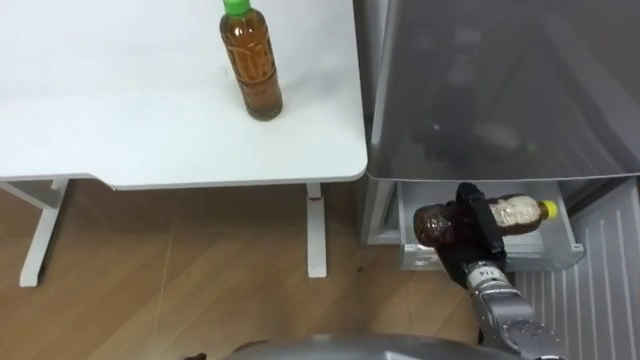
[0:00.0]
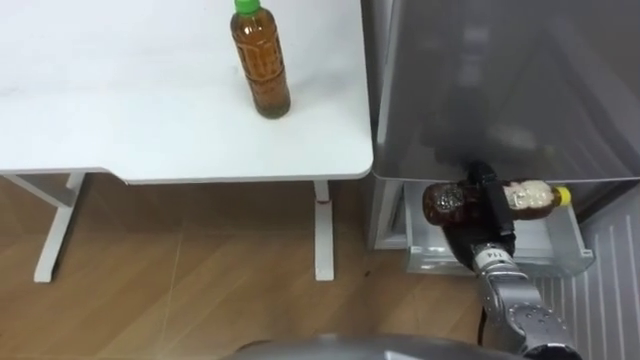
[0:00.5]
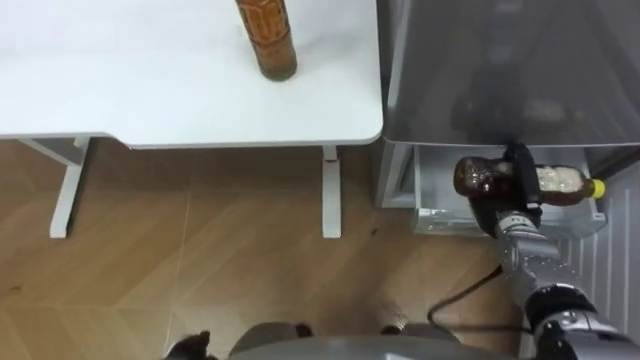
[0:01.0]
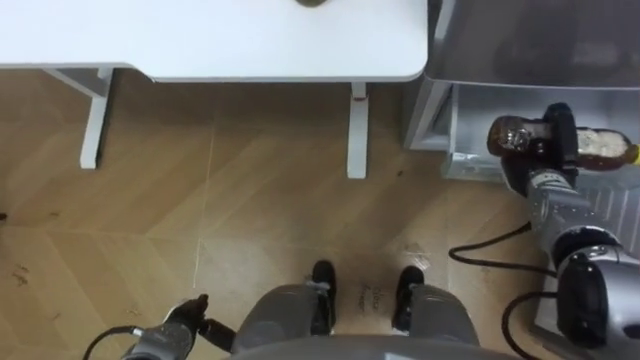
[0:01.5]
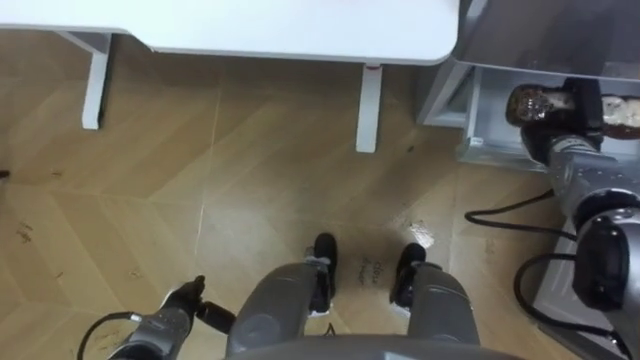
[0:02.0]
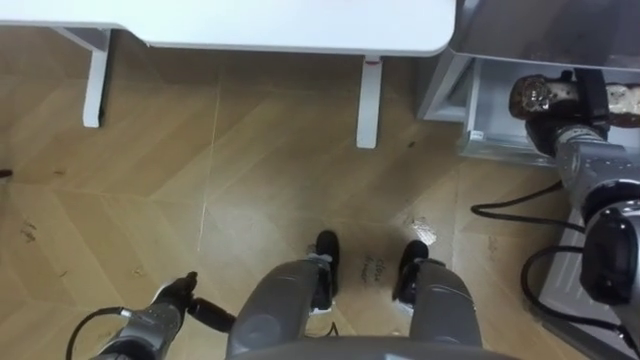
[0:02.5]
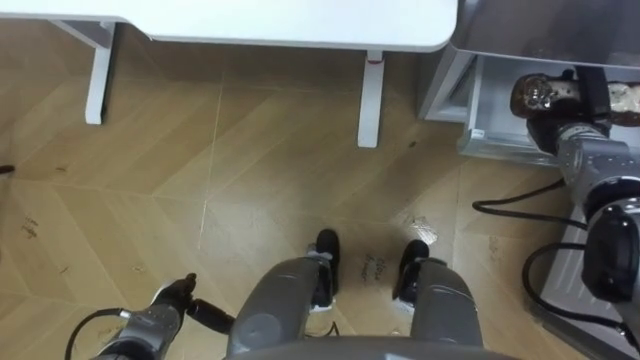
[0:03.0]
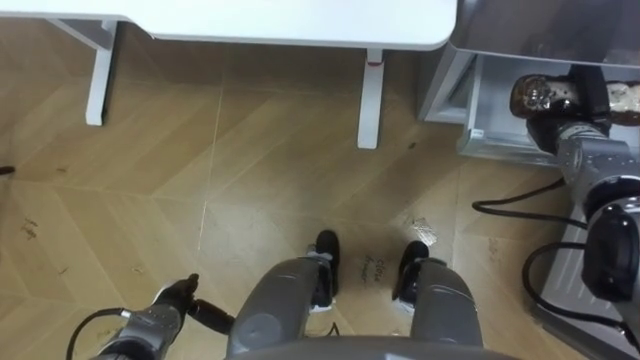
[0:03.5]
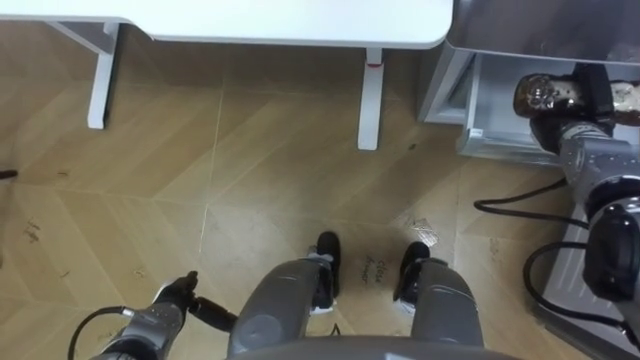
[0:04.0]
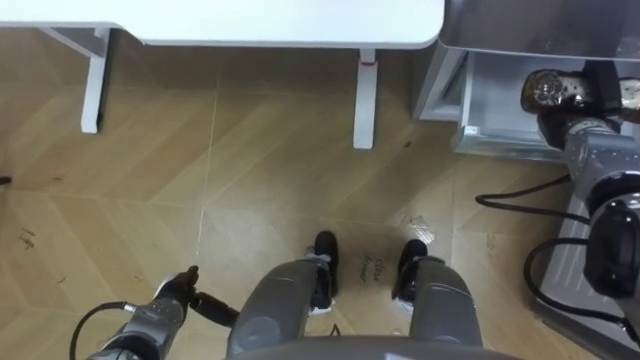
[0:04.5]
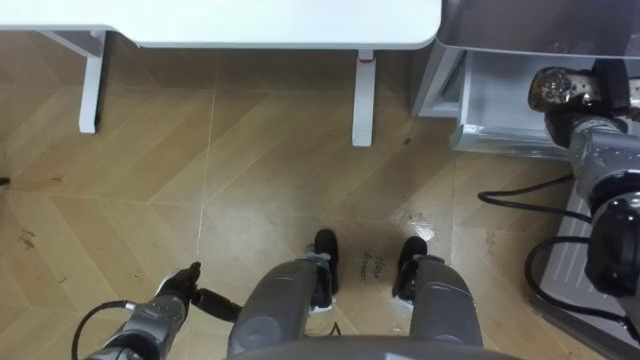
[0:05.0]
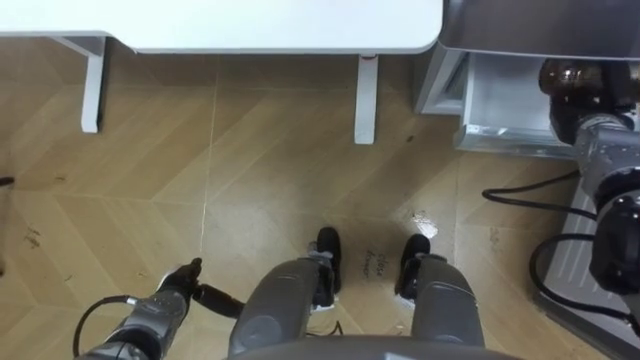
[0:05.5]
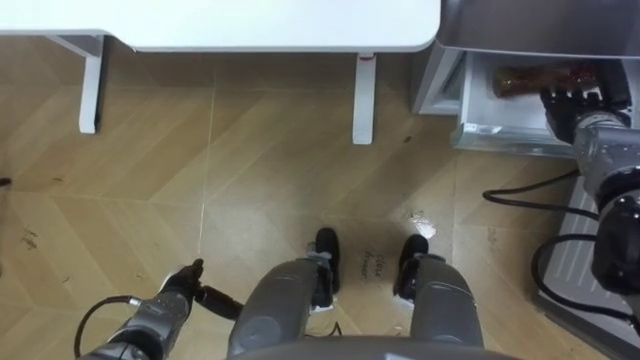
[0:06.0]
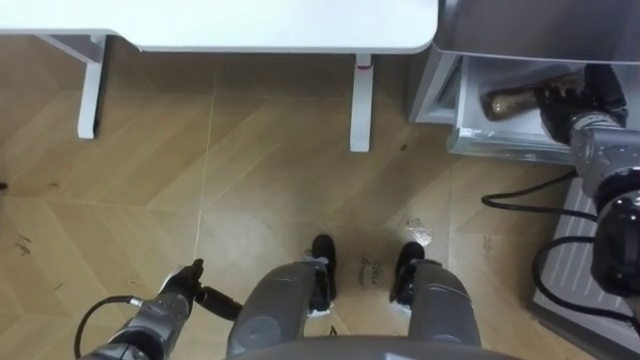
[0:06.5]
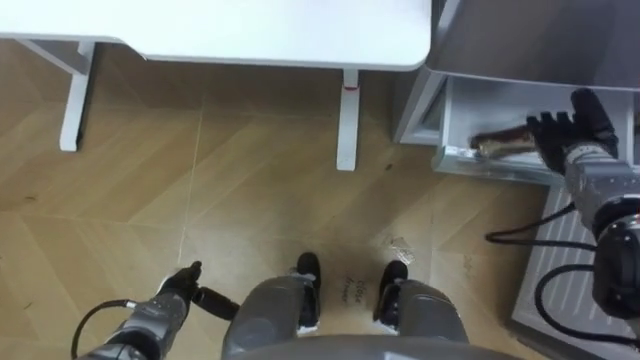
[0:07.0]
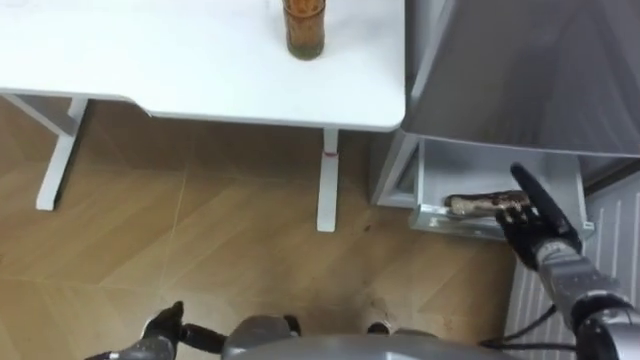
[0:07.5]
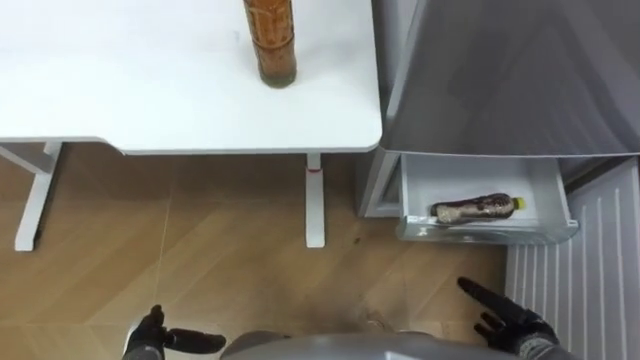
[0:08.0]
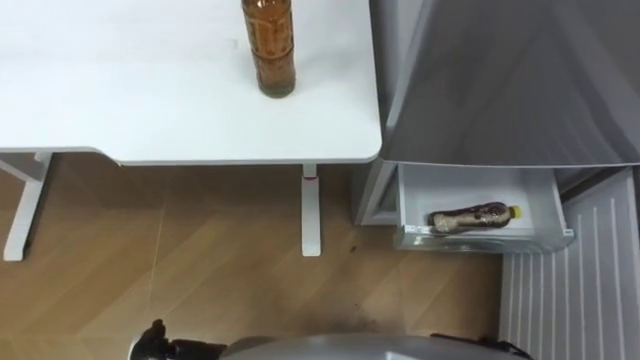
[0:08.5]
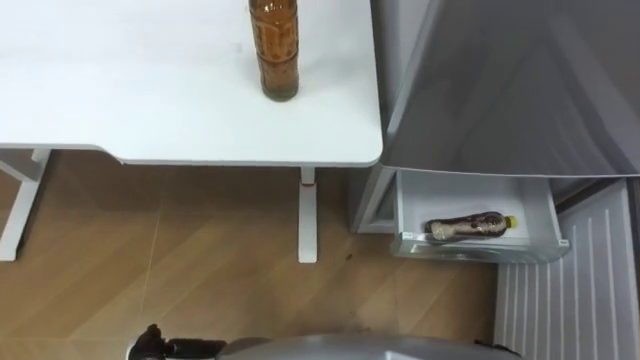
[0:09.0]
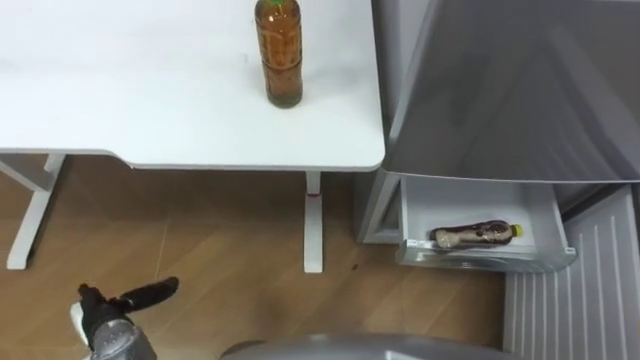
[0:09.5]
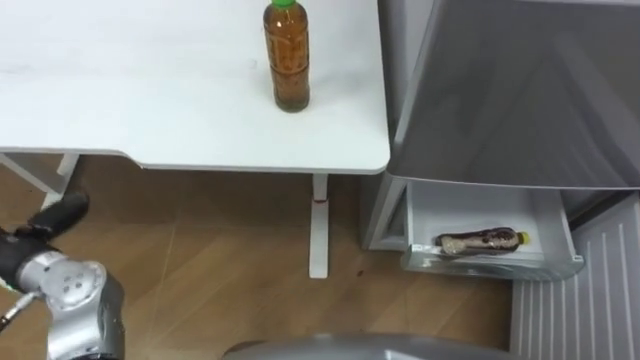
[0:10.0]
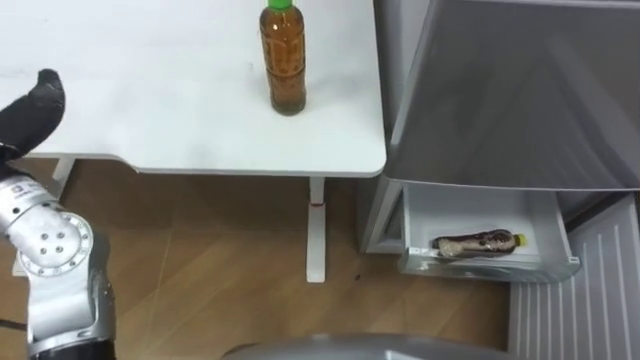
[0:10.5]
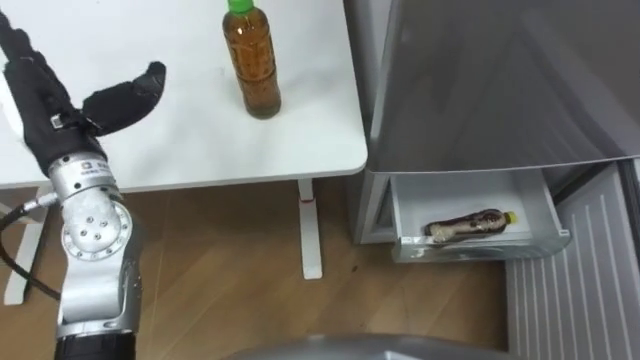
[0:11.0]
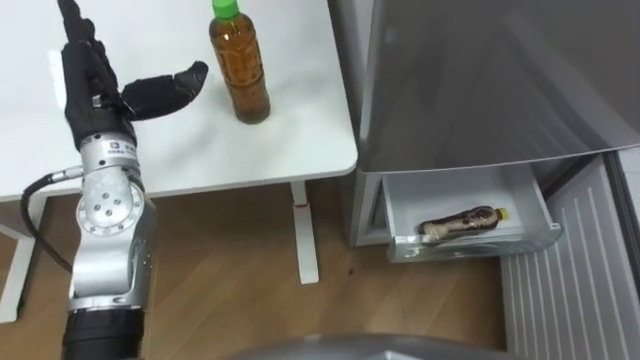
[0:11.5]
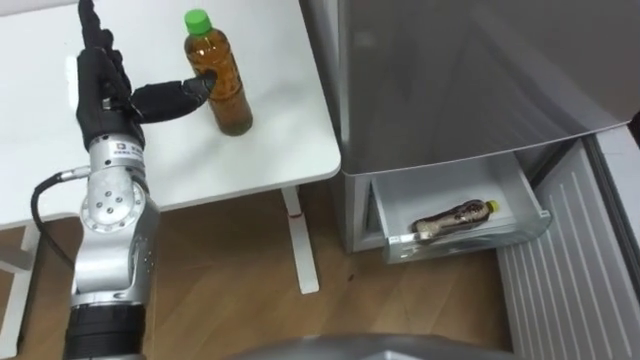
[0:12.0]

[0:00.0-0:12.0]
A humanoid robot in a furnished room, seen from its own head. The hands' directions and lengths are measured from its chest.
Task of the whole recording: Place the drink on the table on the bottom shelf of the refrigerator, then close the drawer and the refrigerator door.
0:00.0 to 0:02.0: The right hand moves forward, to the right and upward, some 20 cm.
0:04.0 to 0:06.0: The right hand opens its fingers.
0:06.0 to 0:08.0: The right hand goes approximately 30 cm backward and downward, while the left hand travels backward by roughly 10 cm.

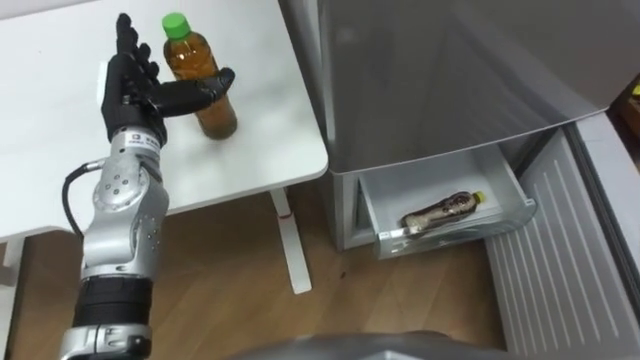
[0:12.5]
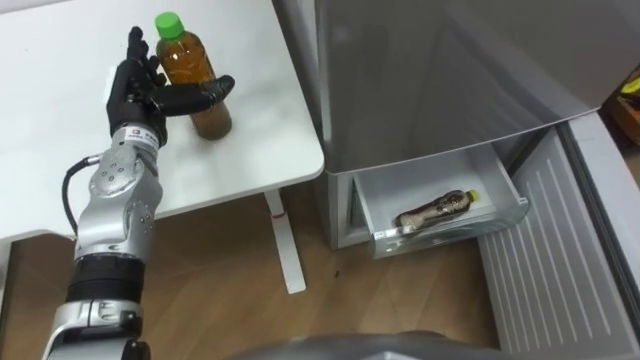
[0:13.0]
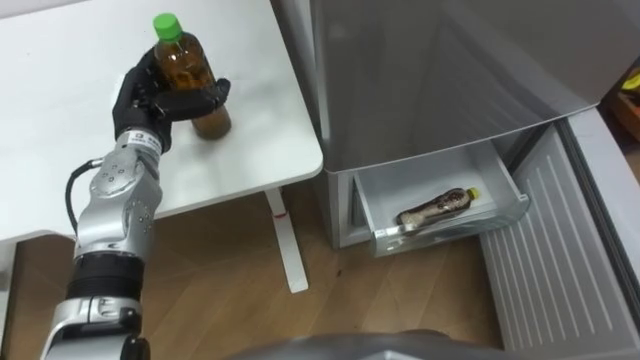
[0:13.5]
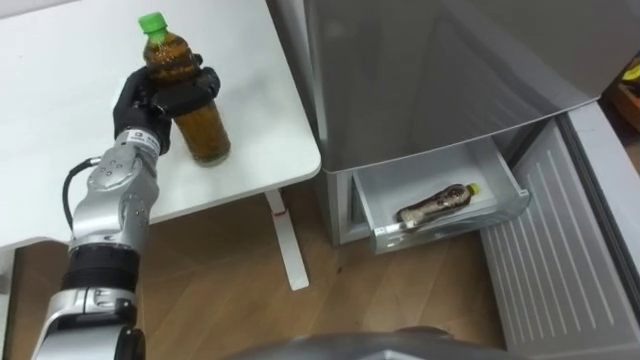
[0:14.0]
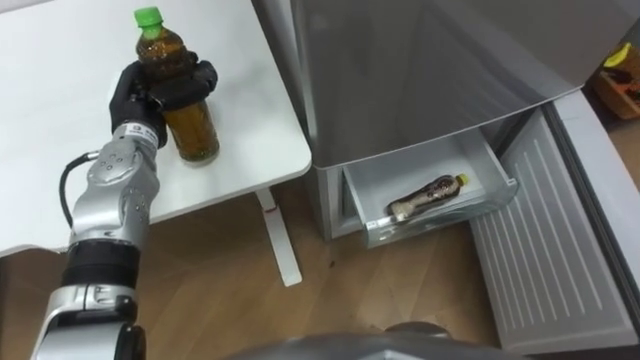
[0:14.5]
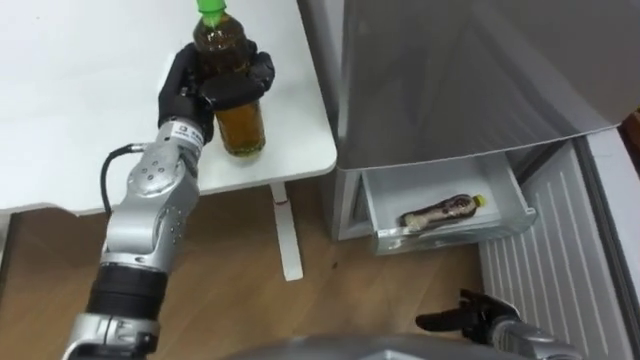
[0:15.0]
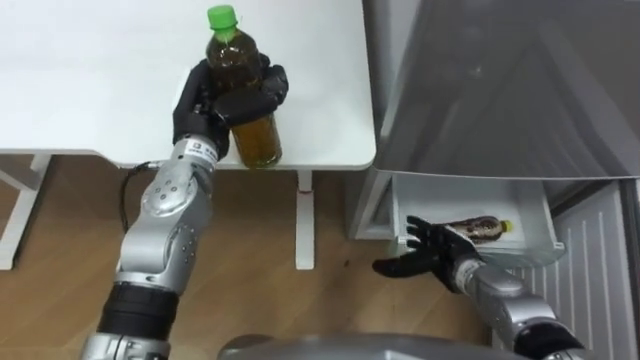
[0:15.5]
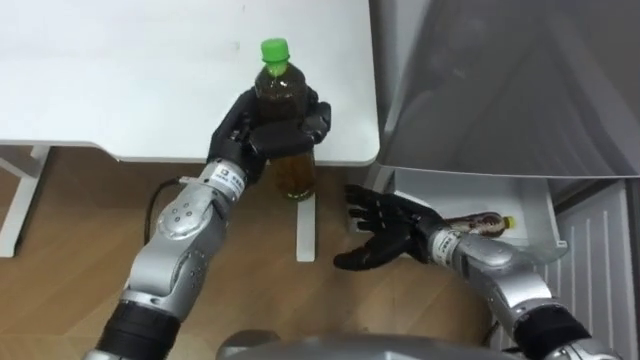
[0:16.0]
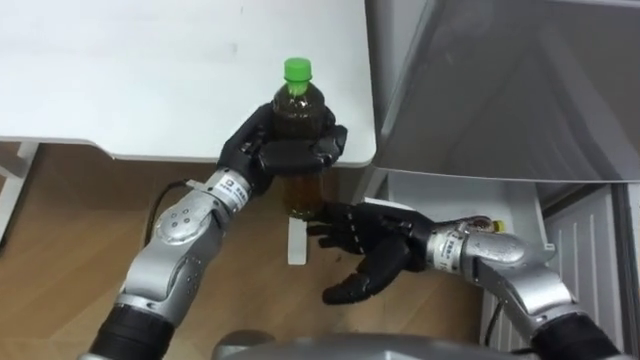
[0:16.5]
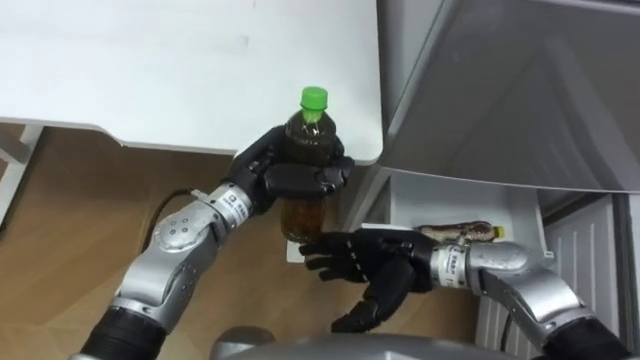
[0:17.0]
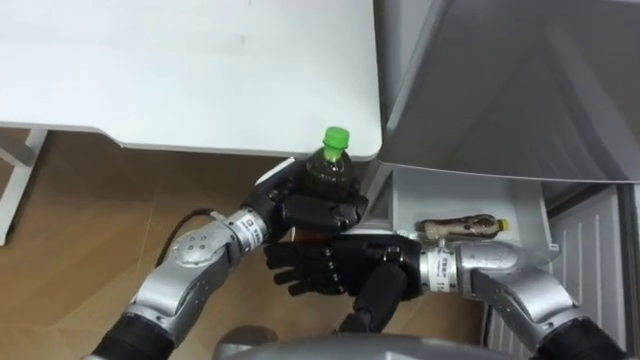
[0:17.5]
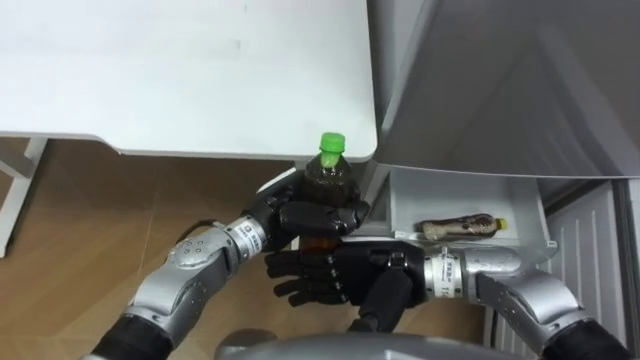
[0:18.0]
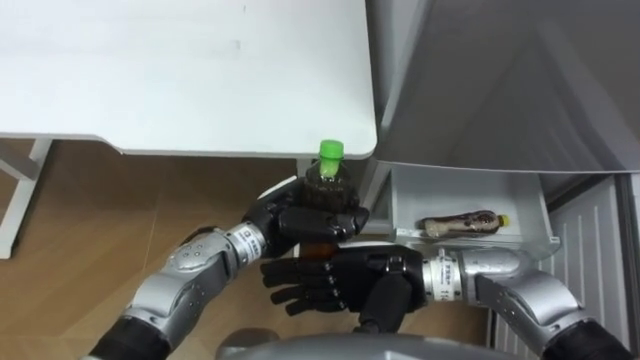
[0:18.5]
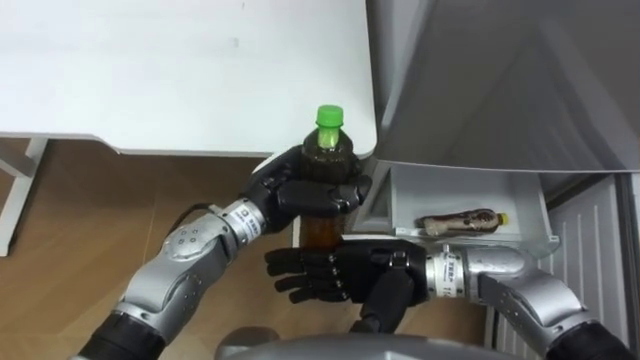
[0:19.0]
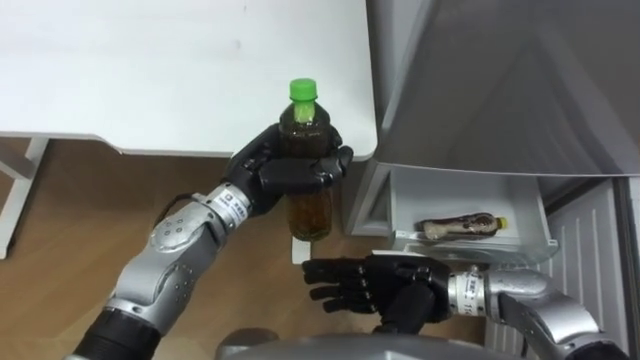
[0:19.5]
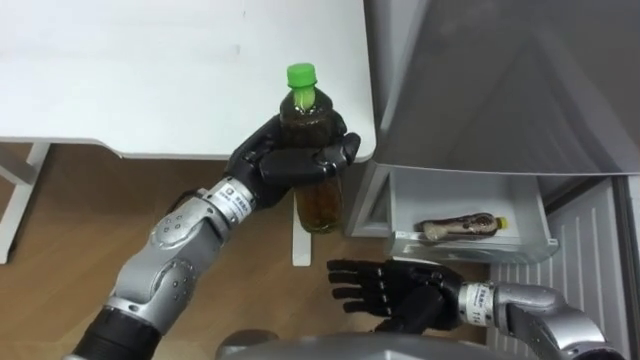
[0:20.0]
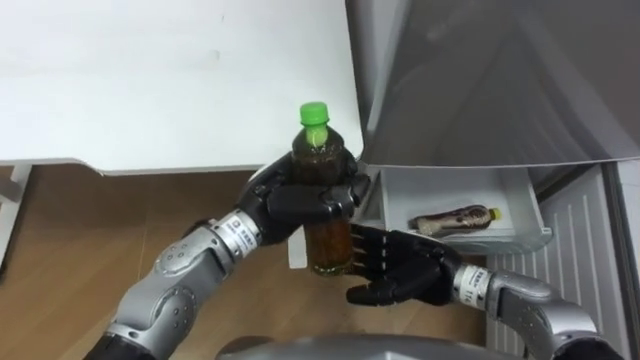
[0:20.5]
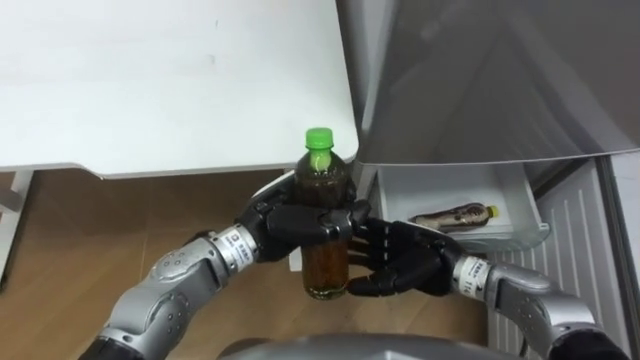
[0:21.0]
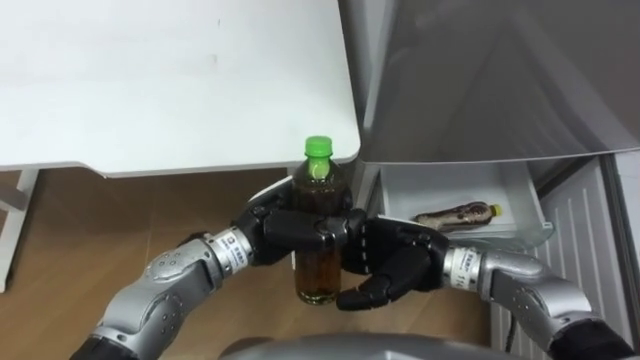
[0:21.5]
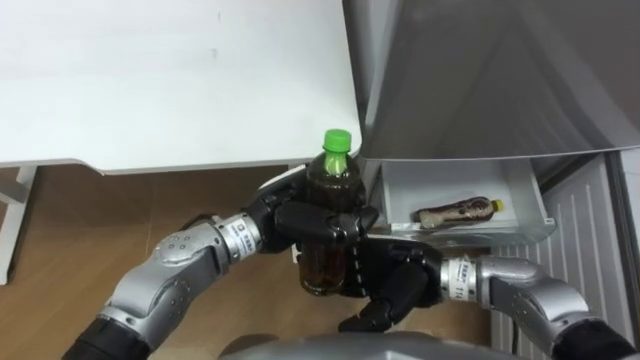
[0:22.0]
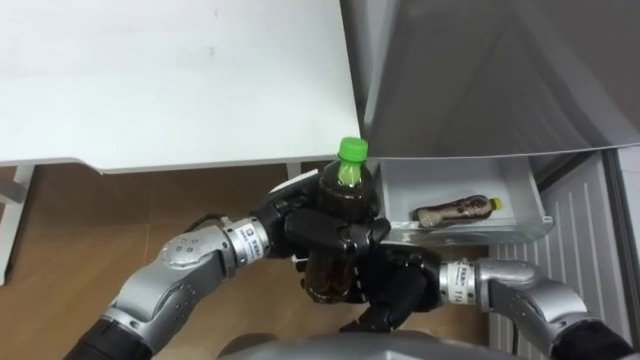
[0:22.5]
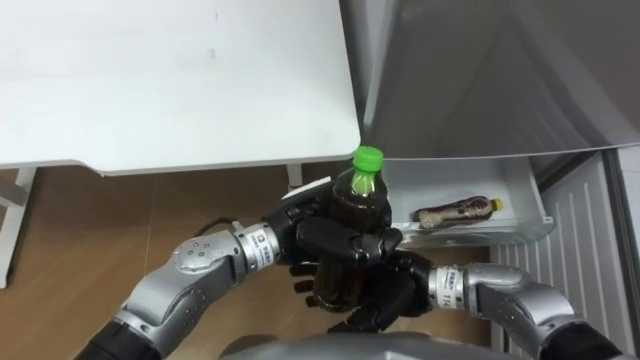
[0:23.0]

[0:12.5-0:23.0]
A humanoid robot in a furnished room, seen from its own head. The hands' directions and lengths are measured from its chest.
Task of the whole recording: Place the drink on the table on the bottom shelf of the refrigerator, then close the drawer and the refrigerator door.
0:12.5 to 0:14.5: The left hand closes its fingers.
0:14.5 to 0:16.5: The left hand moves to the right and backward, about 15 cm.
0:16.5 to 0:19.0: The right hand is displaced backward by about 5 cm.
0:19.0 to 0:21.0: The right hand travels downward and to the right by some 10 cm.
0:21.0 to 0:23.0: The right hand travels to the left by roughly 5 cm.
